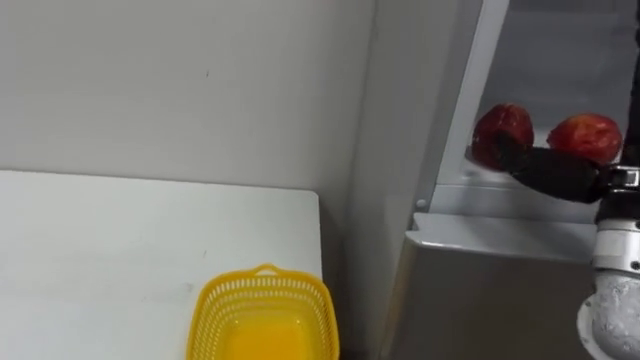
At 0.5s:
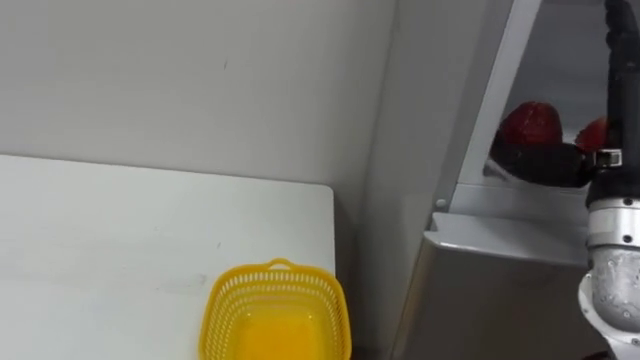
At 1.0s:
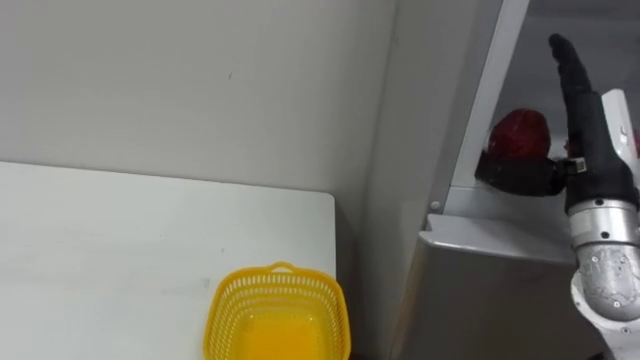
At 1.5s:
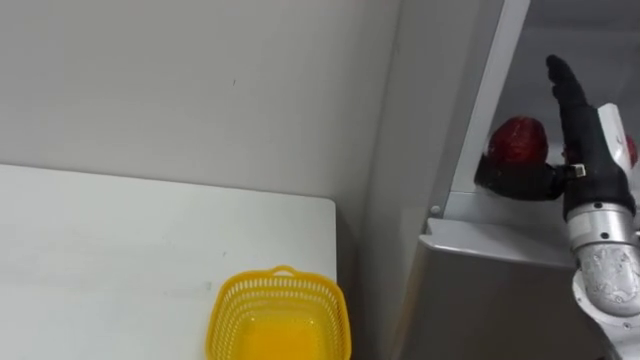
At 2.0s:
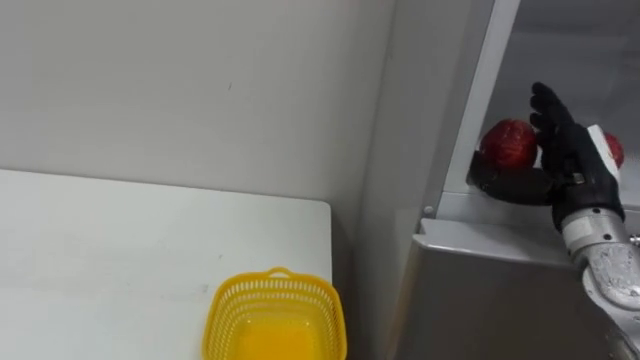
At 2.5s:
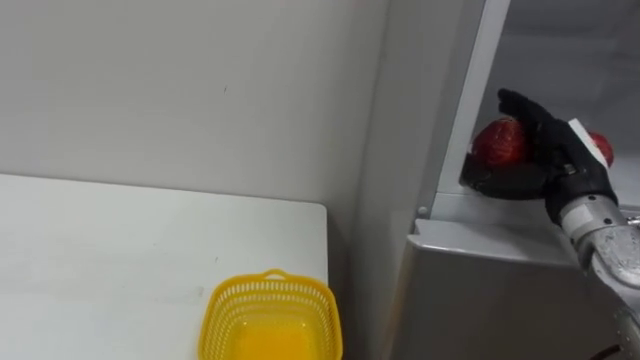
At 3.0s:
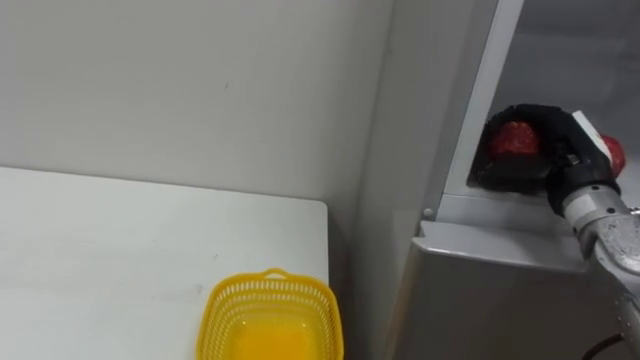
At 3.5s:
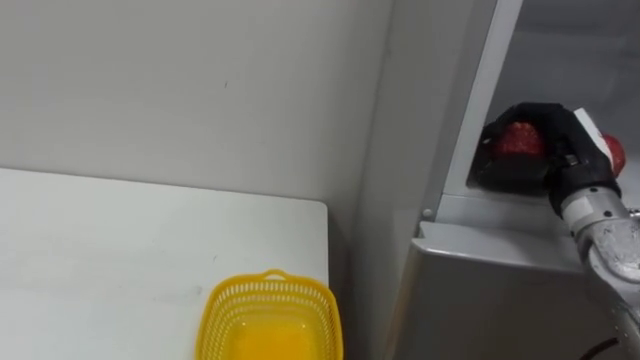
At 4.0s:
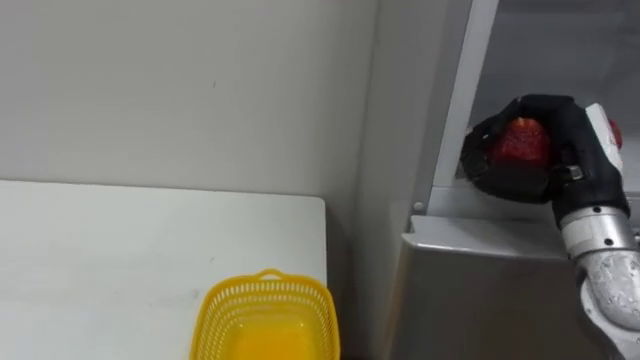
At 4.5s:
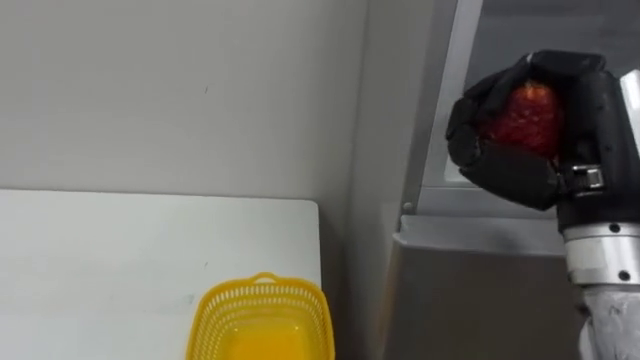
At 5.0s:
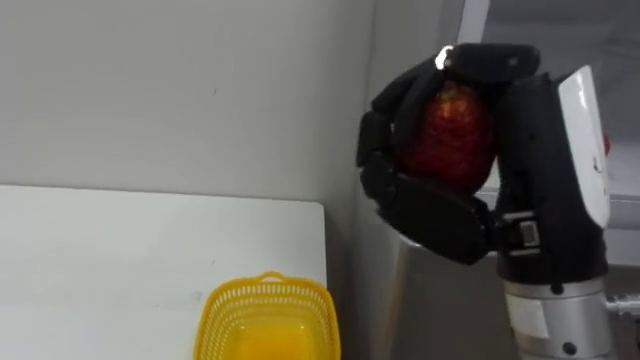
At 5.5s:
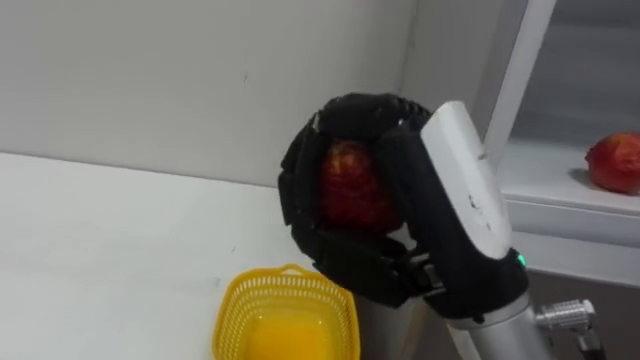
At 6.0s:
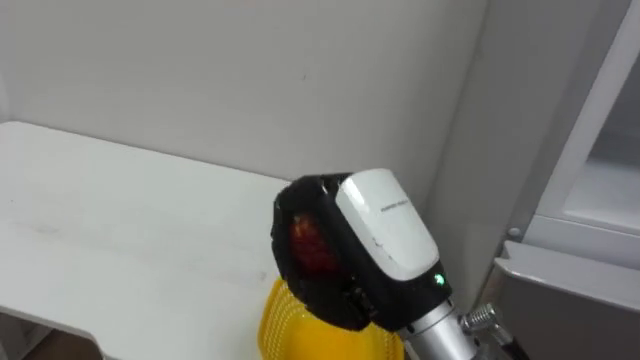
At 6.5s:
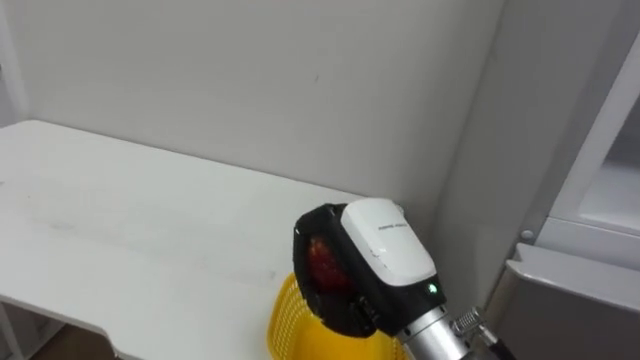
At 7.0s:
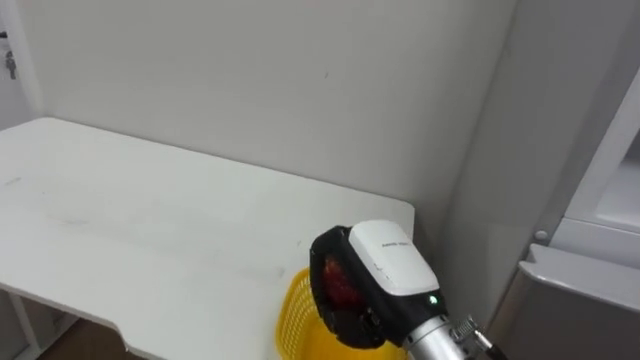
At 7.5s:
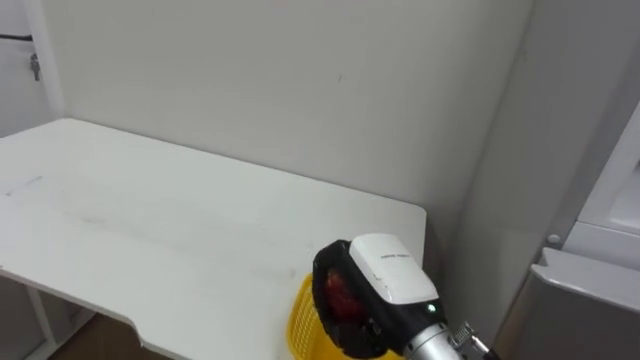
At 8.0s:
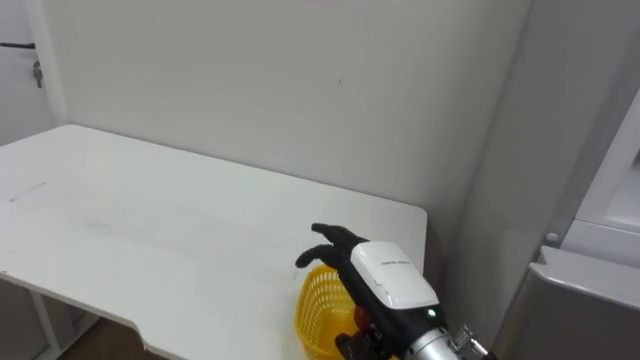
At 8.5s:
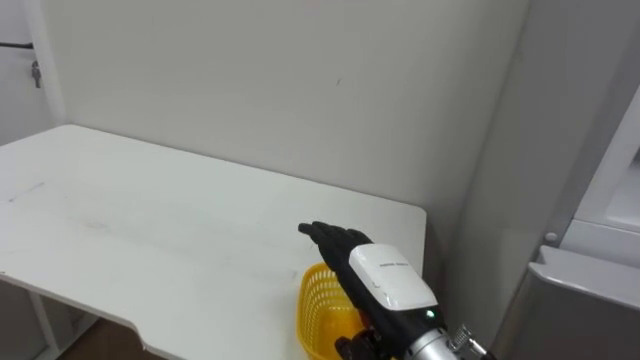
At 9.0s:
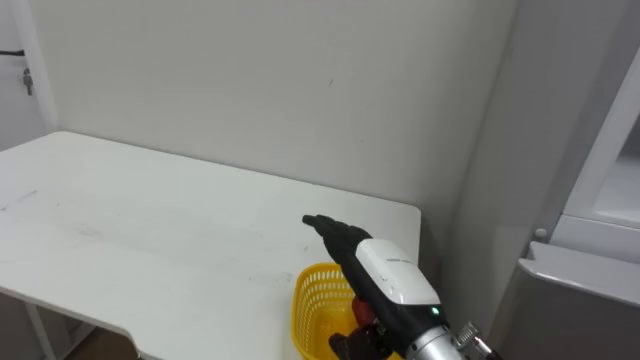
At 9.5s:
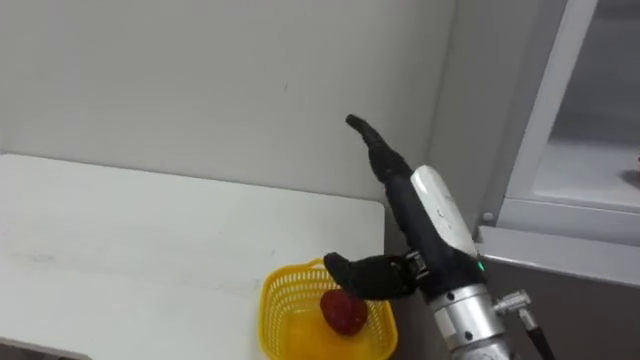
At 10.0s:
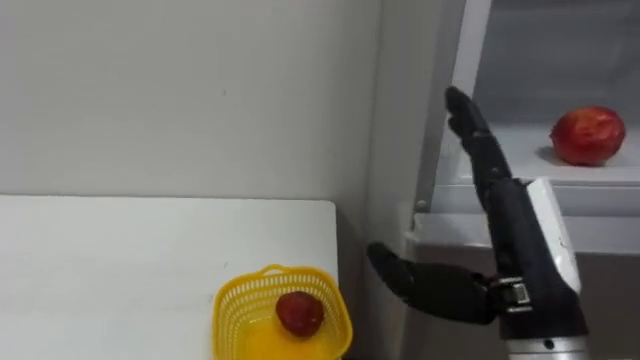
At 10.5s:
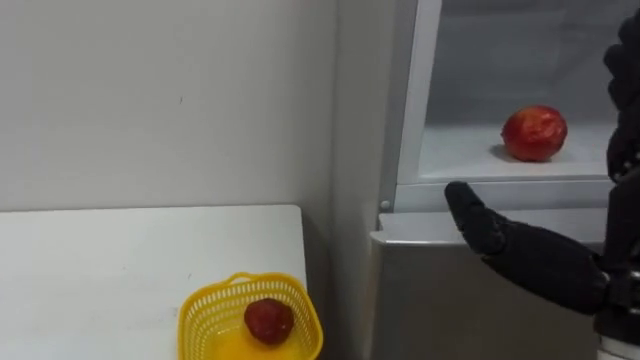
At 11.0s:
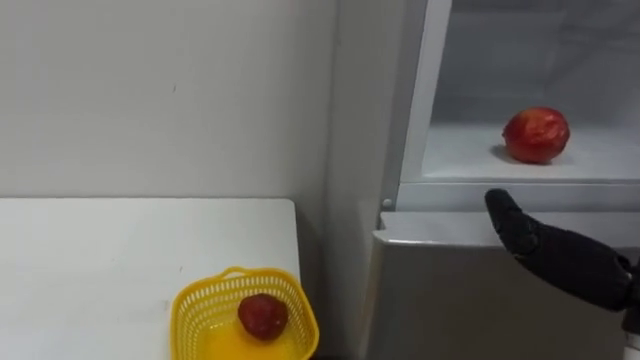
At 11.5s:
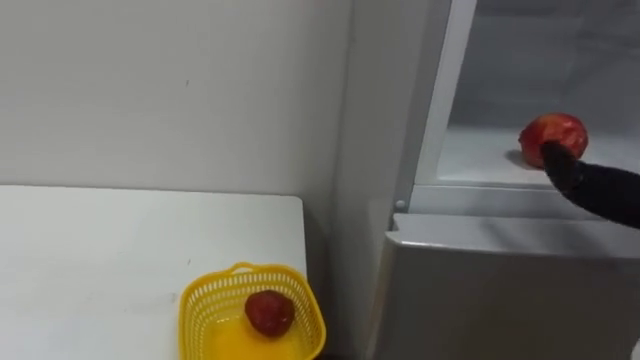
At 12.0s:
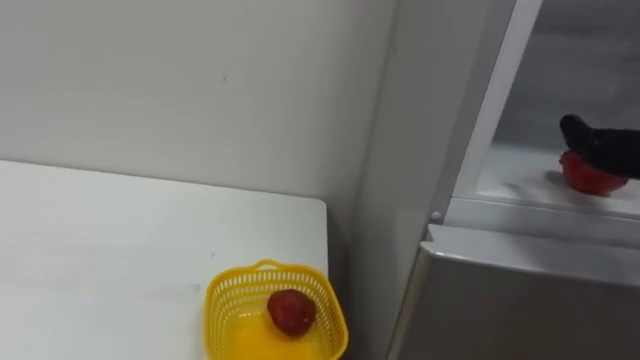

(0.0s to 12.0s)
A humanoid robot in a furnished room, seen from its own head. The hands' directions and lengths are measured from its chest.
Task of the whole recording: Open the refrigerator door, take out the apple and the pomegranate, place them in the fruit basket on the left, and close the refrigerator door.
0.0s - 2.0s: The right hand shifts about 10 cm forward and downward.
2.0s - 4.0s: The right hand closes its fingers.
4.0s - 6.0s: The right hand moves to the left and backward, approximately 20 cm.
6.0s - 8.0s: The right hand heads downward and forward, covering roughly 15 cm, and opens up.
8.0s - 10.0s: The right hand travels upward, to the right and backward by approximately 15 cm.

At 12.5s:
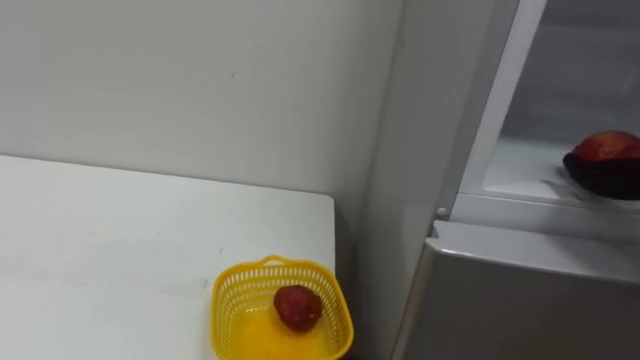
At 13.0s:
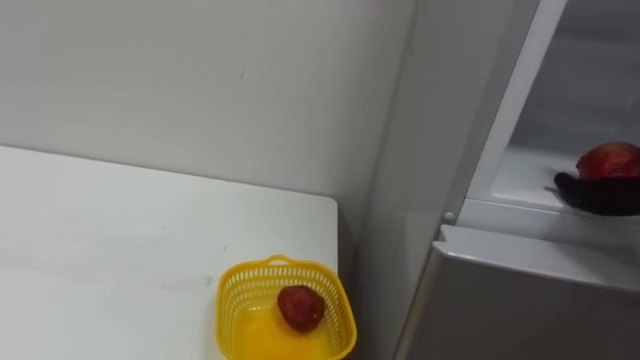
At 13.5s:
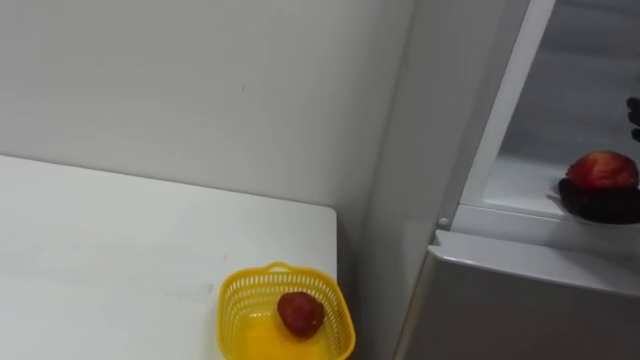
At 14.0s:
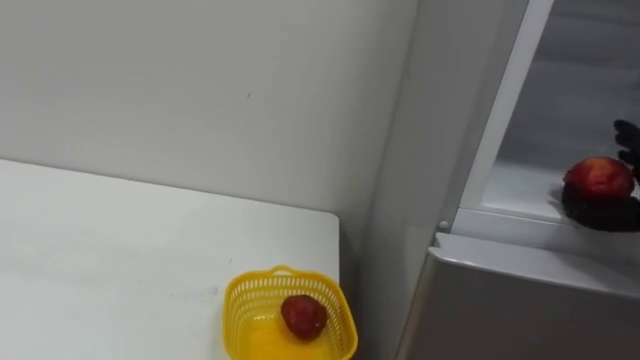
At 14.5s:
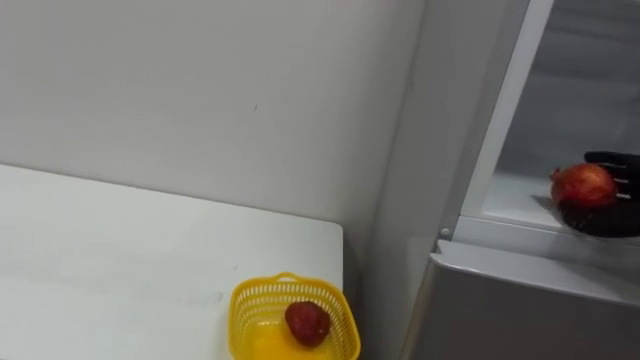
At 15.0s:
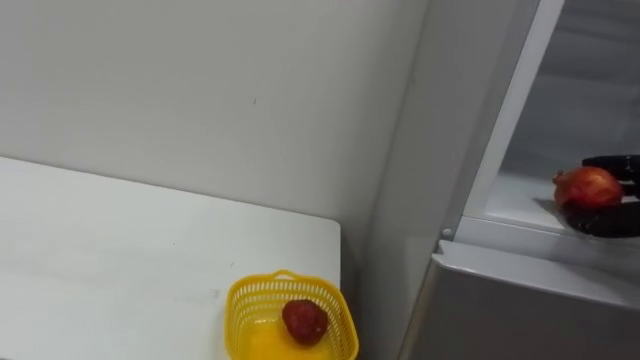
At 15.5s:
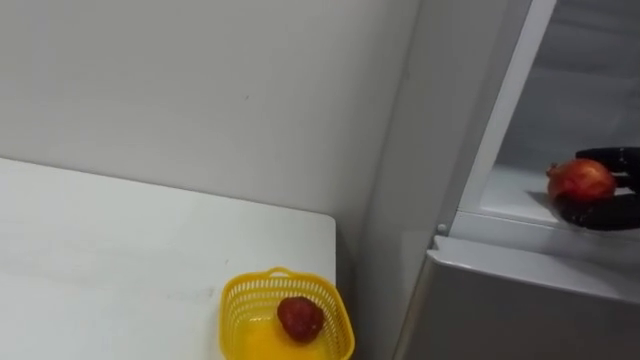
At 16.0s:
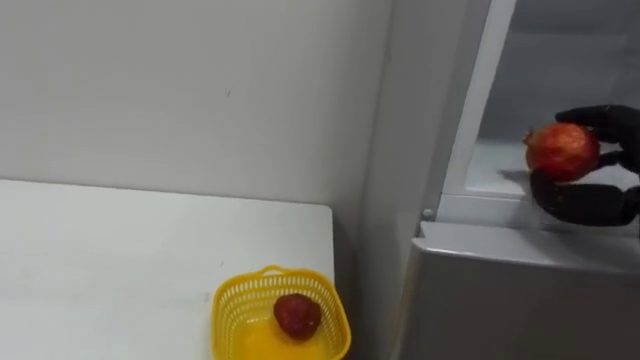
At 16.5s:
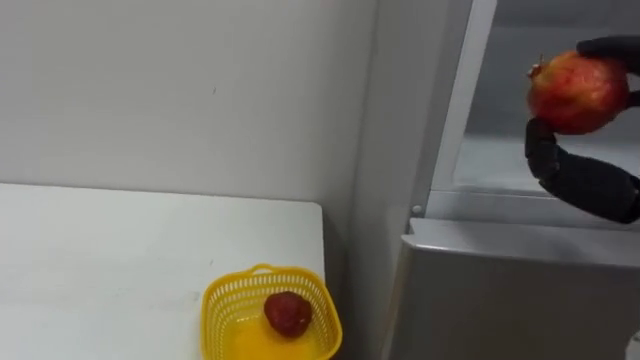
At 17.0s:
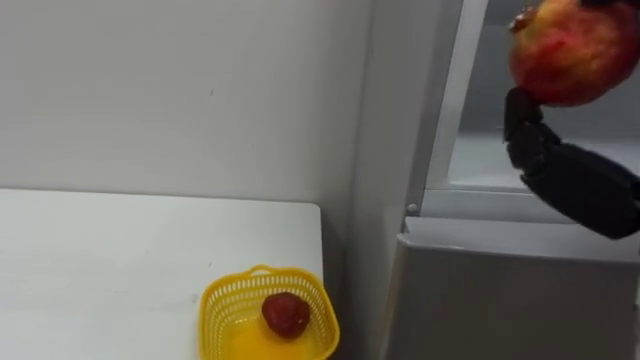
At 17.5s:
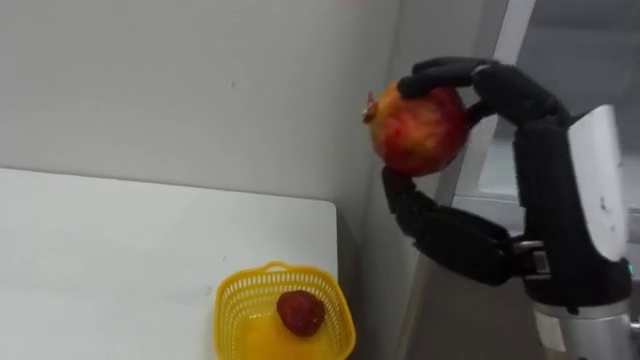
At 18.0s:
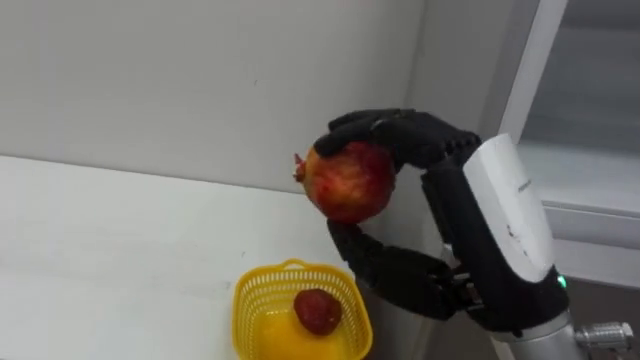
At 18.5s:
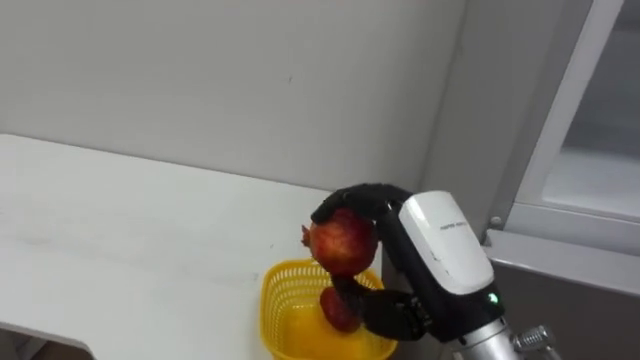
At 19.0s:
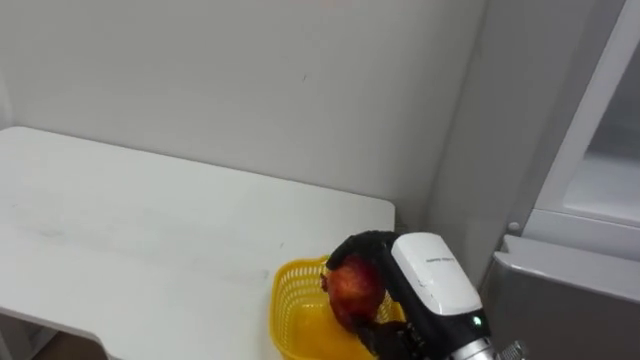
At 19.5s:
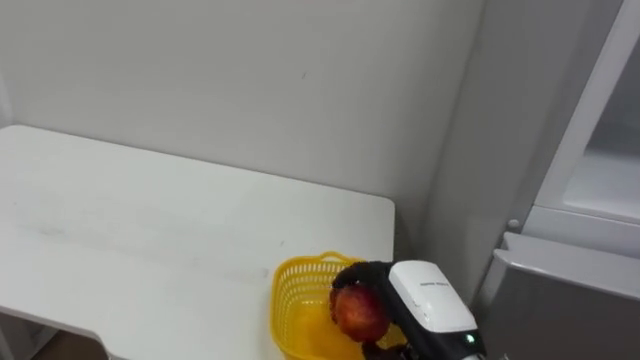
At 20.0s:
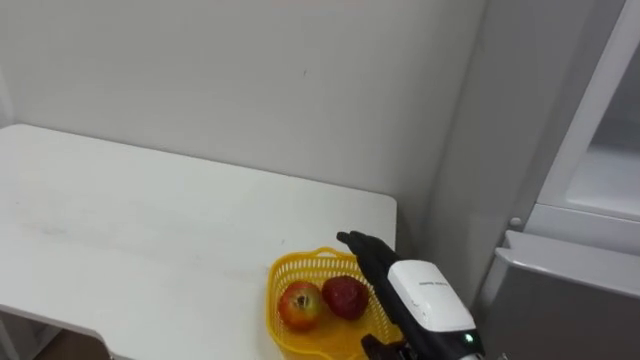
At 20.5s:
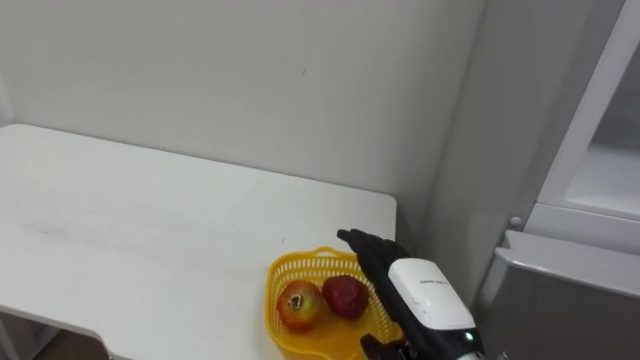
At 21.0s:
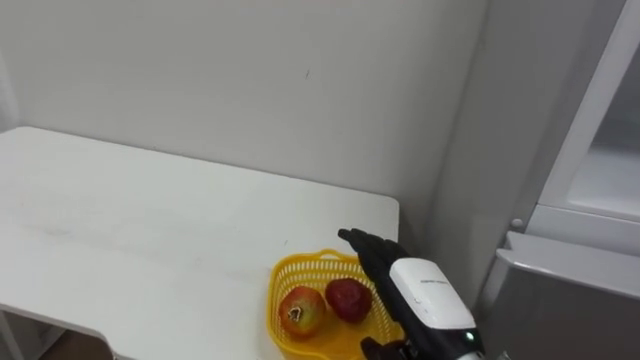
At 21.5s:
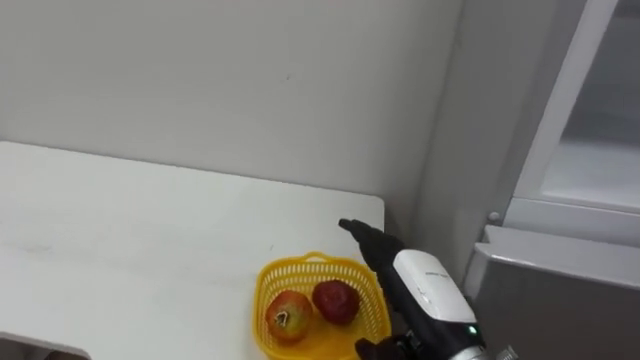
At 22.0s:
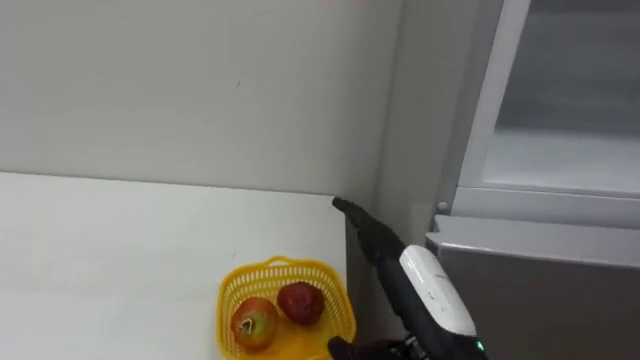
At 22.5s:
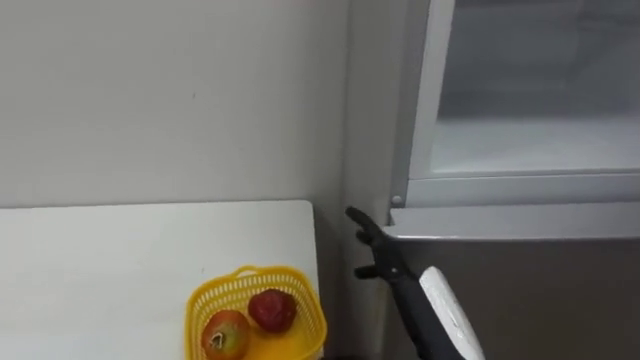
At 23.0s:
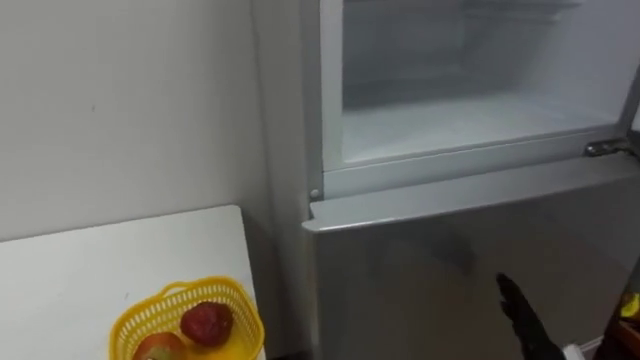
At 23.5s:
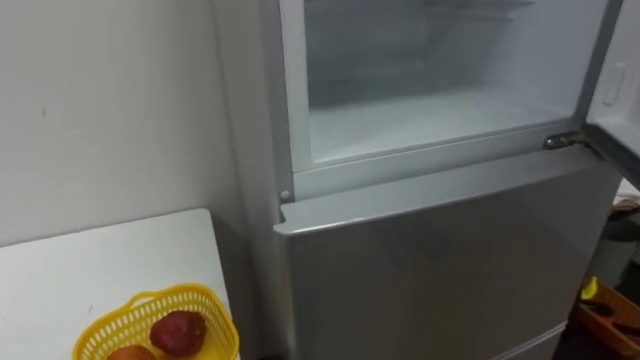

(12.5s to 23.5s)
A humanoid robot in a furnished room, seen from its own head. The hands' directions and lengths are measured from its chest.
Task of the whole recording: Open the refrigerator door, take out the apple and the pomegranate, place them in the fruit basket on the left, and close the refrigerator door.
18.0s - 20.0s: The right hand is displaced downward and forward by approximately 20 cm, and opens its fingers.
